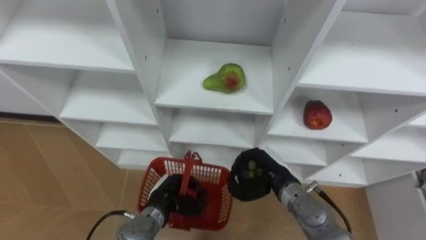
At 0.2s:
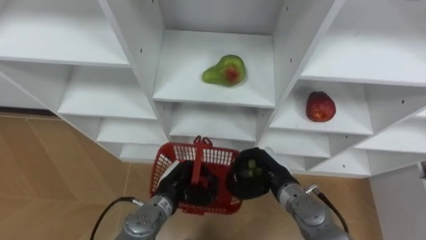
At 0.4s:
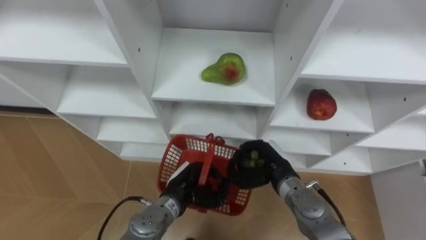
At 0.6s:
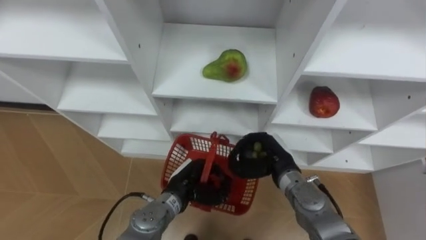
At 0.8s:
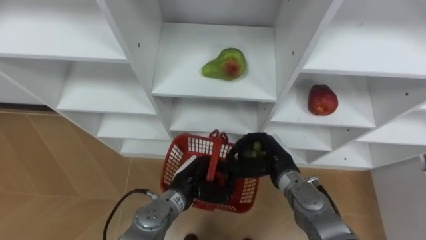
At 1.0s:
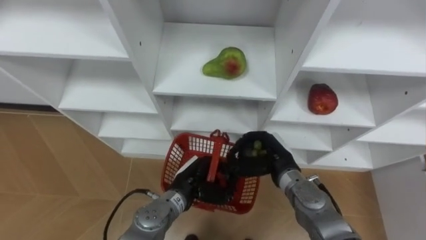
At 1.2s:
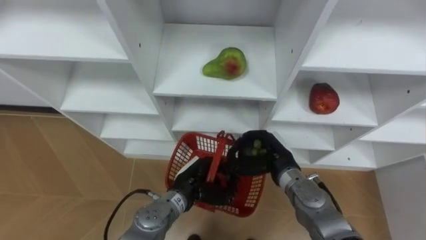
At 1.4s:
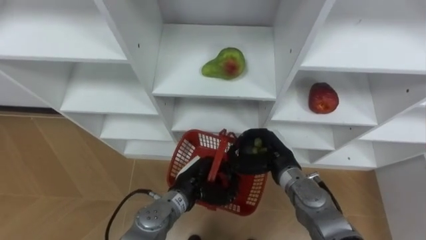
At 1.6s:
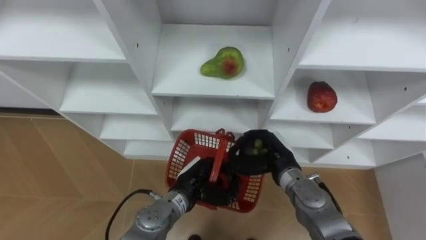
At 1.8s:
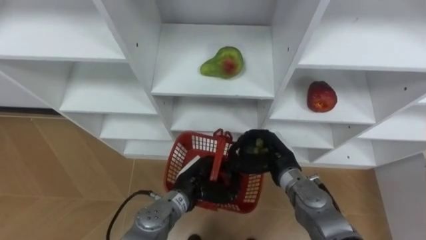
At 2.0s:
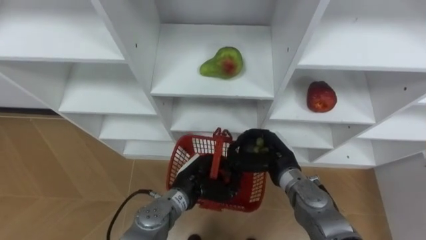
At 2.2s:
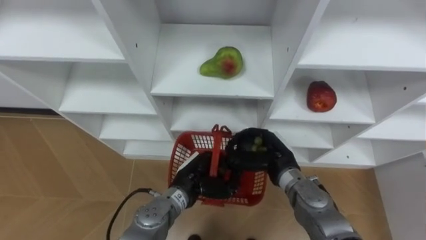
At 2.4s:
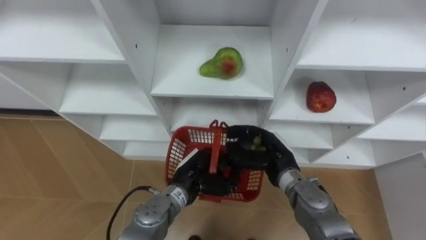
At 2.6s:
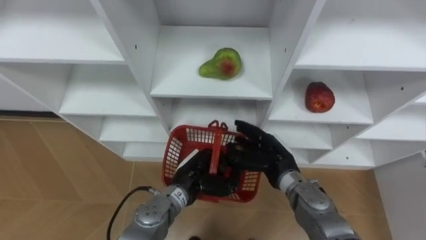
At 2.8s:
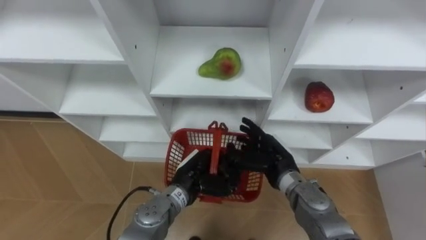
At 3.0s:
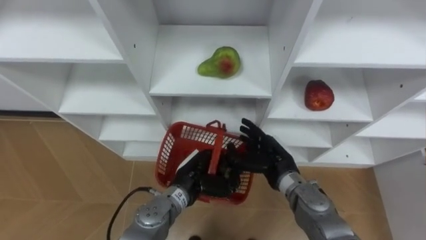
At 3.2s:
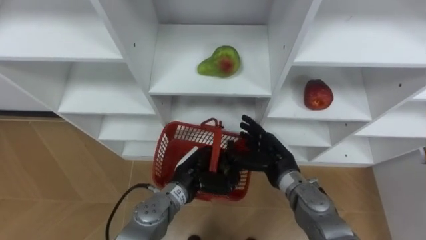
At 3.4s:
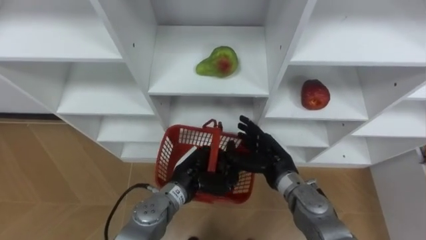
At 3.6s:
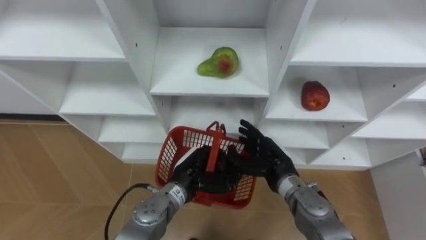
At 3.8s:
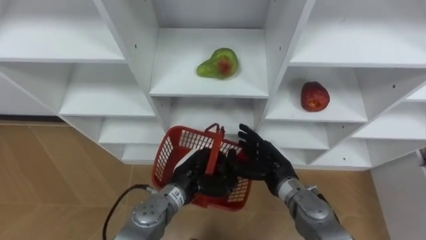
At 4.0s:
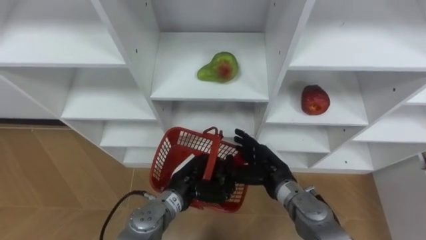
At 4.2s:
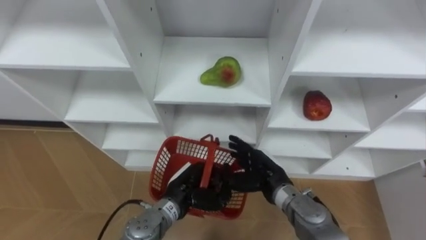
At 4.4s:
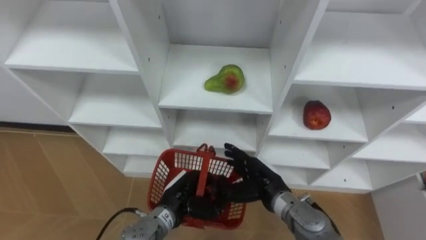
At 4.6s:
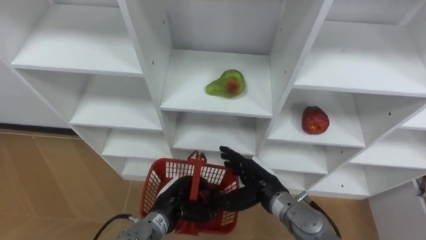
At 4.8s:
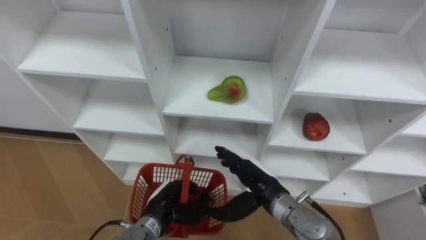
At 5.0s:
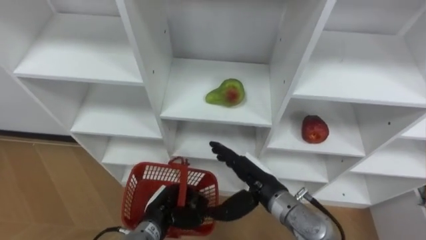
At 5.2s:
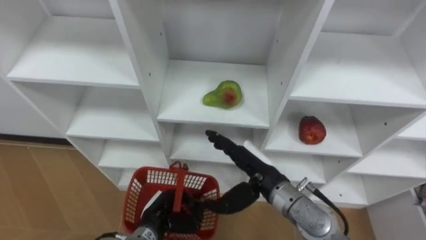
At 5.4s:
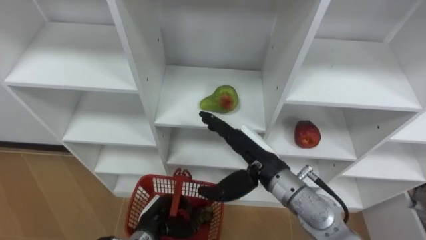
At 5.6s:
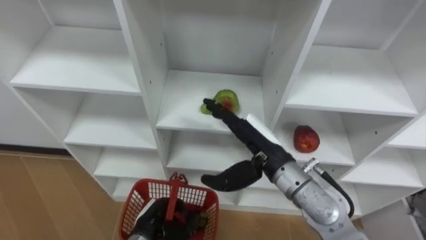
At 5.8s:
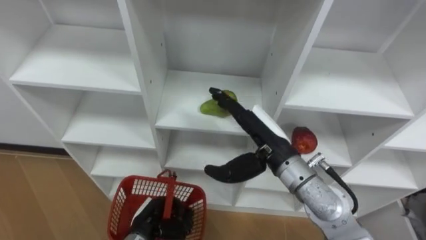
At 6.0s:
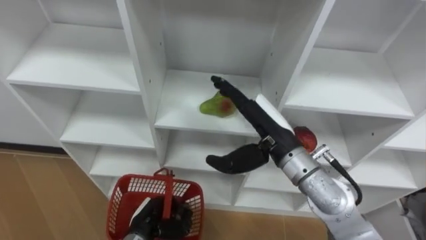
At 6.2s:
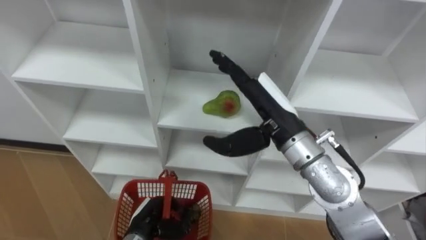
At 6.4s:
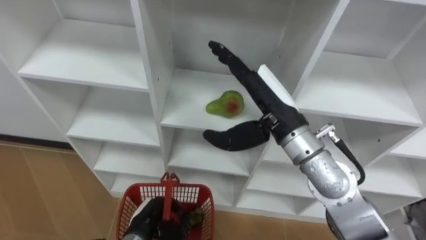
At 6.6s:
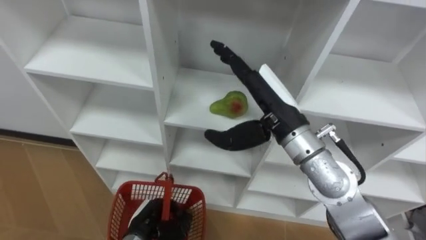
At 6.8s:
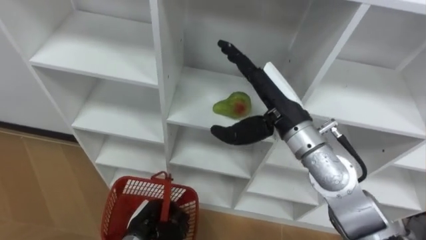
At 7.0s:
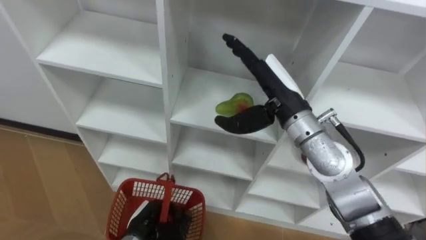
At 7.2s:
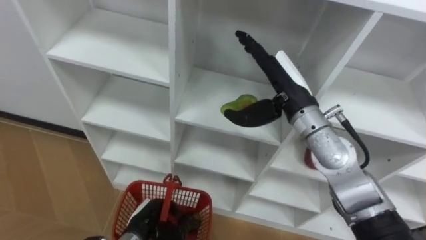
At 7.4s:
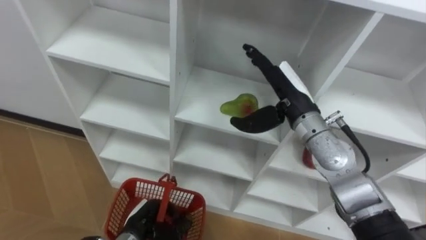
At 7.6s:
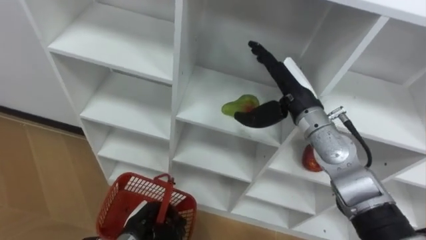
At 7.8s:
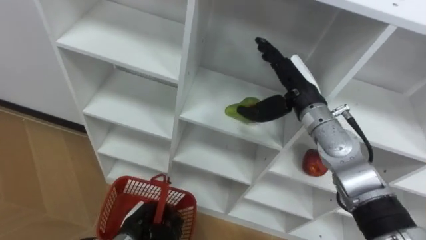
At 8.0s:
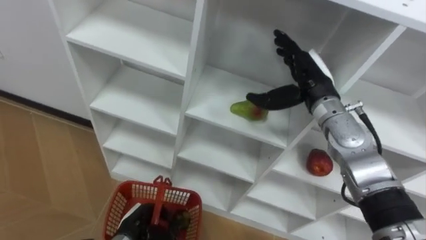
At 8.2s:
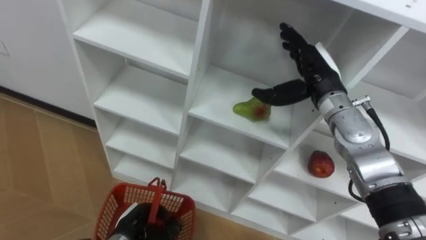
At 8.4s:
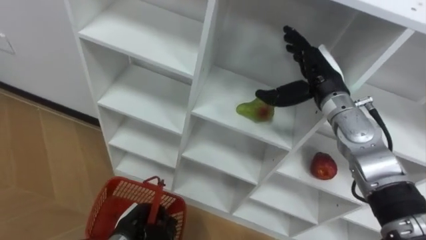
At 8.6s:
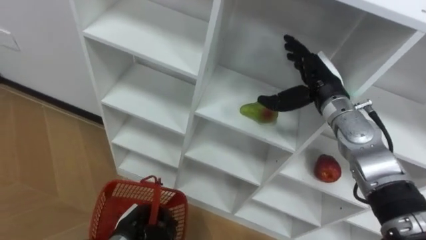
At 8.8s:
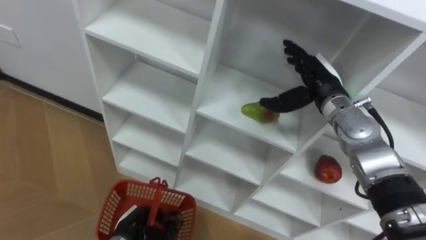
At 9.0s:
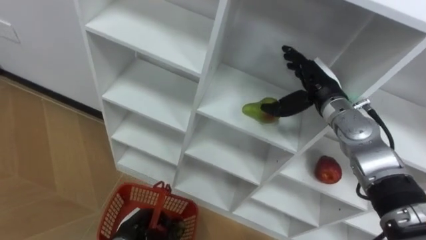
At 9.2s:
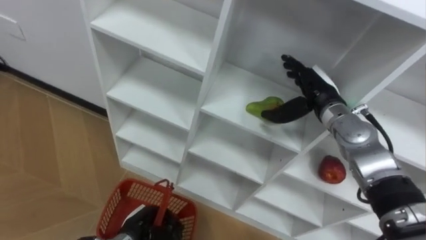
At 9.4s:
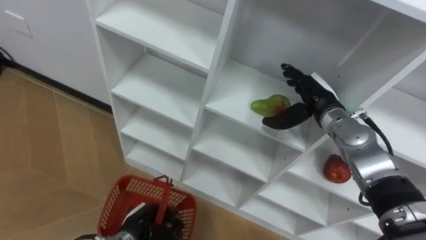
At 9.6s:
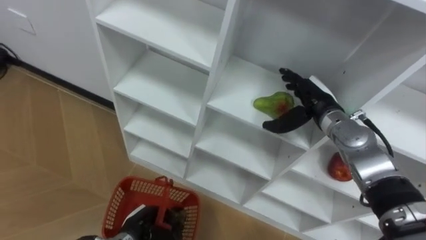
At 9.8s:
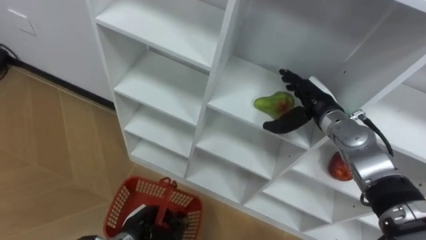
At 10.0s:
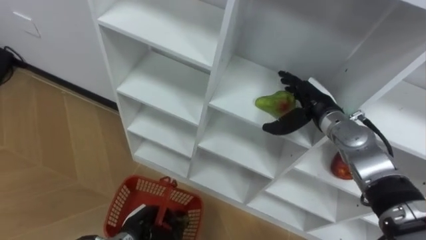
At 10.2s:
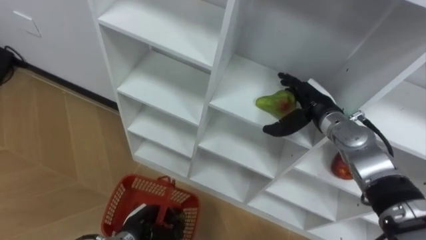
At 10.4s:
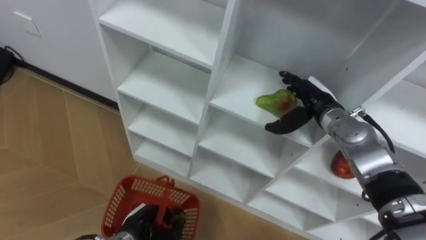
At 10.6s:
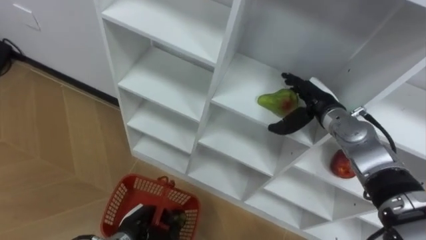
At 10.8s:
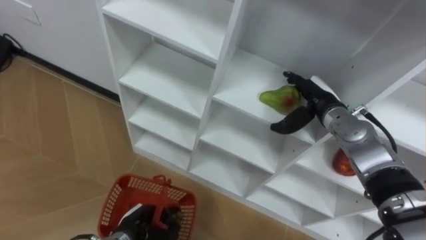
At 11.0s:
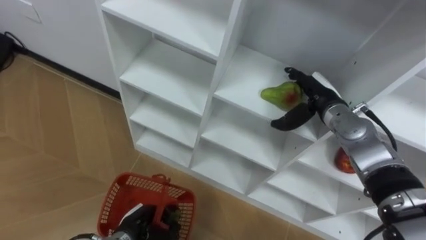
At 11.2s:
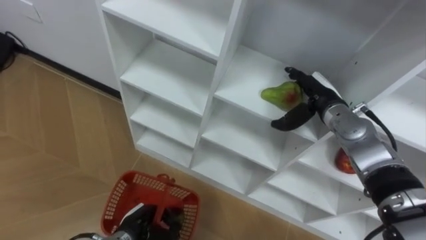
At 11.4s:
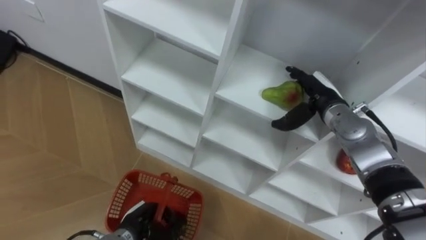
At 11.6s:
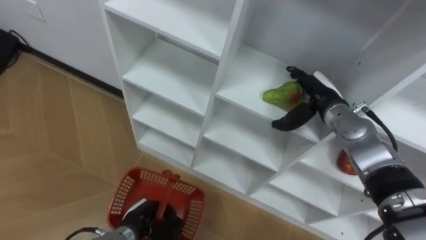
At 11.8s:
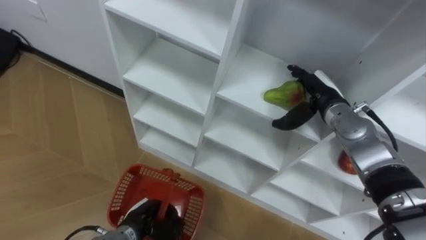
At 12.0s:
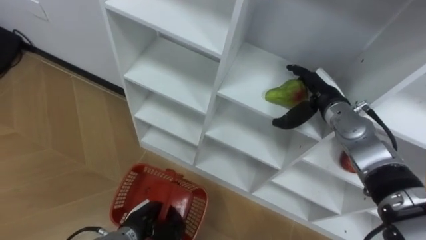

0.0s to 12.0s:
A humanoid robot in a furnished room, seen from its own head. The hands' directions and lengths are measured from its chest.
Task of the whole recording: Hold the basket and collect the fruits from 3 different cells of the closet into it.
0.0s to 1.6s: The left hand shifts some 5 cm to the right.
1.6s to 3.0s: The right hand opens.
3.0s to 4.4s: The left hand moves about 5 cm.
4.4s to 6.0s: The left hand heads to the left and downward, covering approximately 10 cm; the right hand is displaced upward by about 15 cm.
6.0s to 7.6s: The right hand goes some 5 cm forward.
7.6s to 9.0s: The right hand moves to the right, some 5 cm.

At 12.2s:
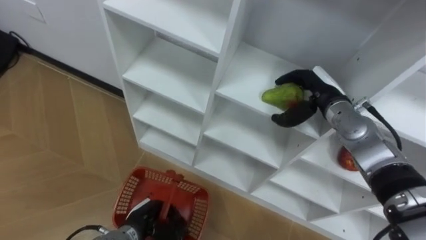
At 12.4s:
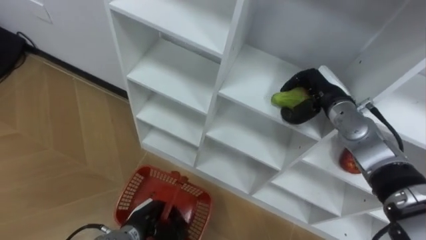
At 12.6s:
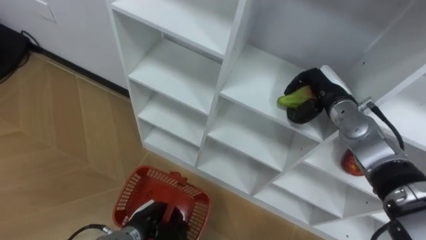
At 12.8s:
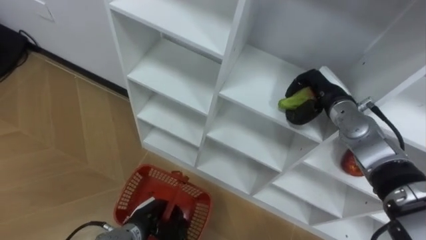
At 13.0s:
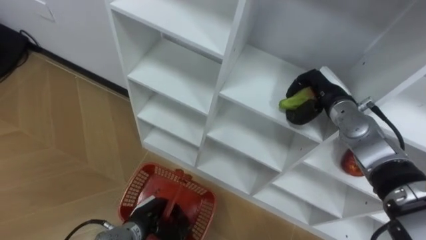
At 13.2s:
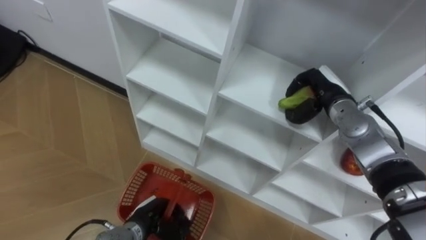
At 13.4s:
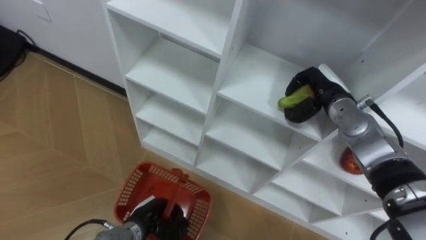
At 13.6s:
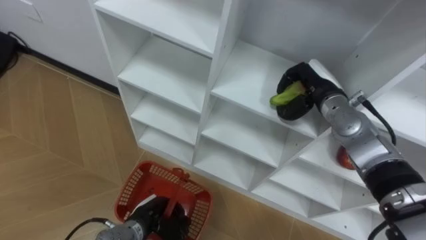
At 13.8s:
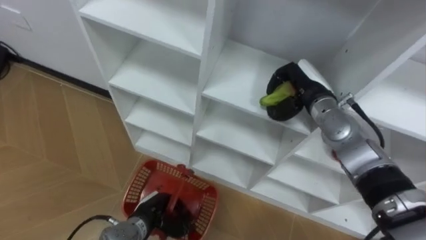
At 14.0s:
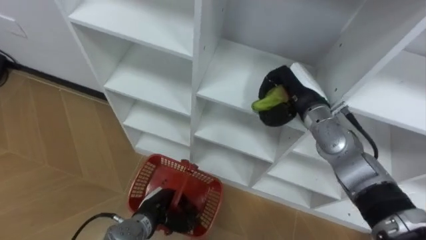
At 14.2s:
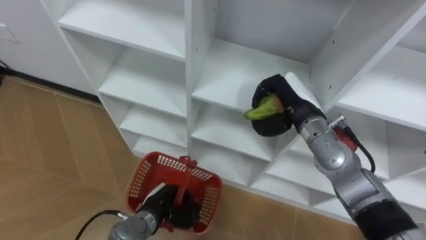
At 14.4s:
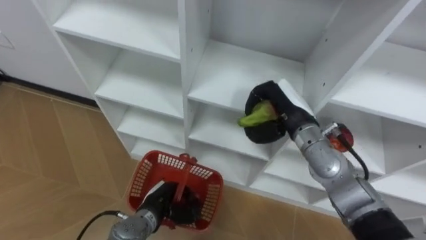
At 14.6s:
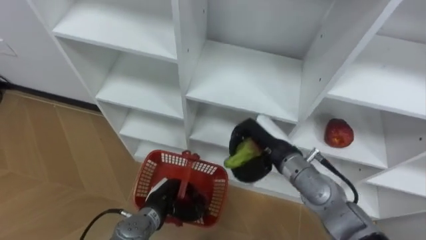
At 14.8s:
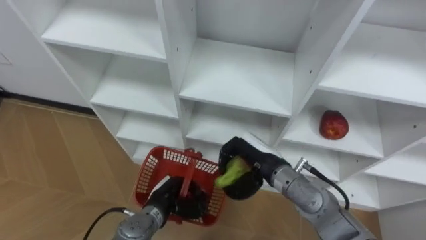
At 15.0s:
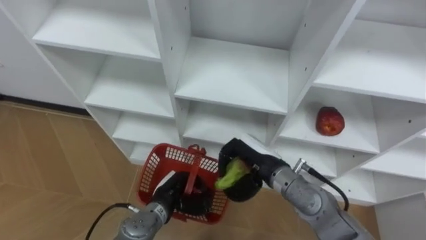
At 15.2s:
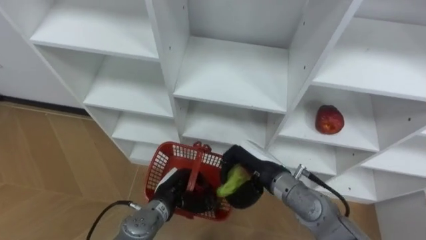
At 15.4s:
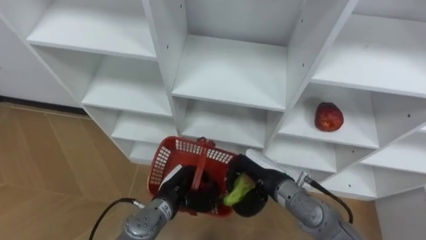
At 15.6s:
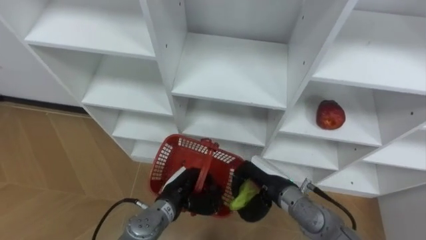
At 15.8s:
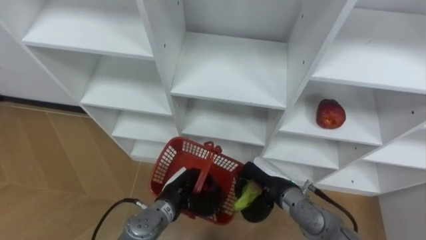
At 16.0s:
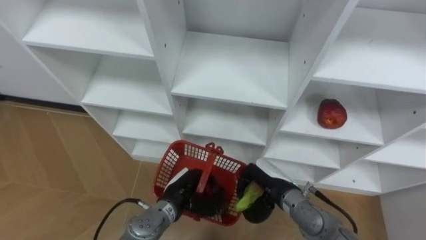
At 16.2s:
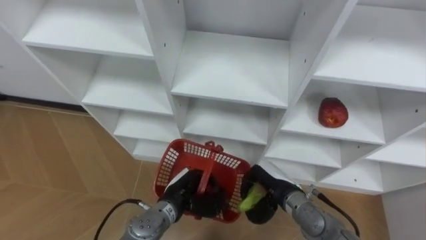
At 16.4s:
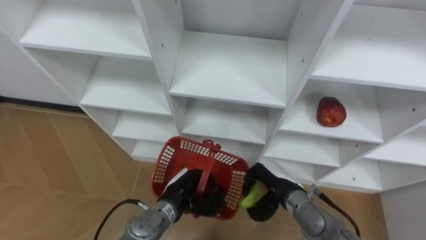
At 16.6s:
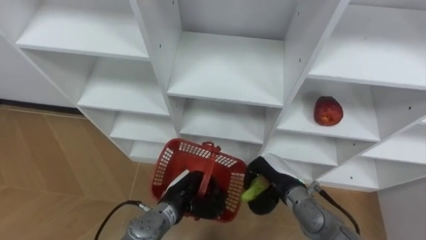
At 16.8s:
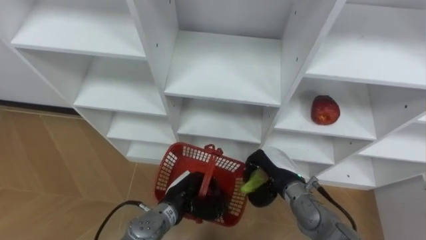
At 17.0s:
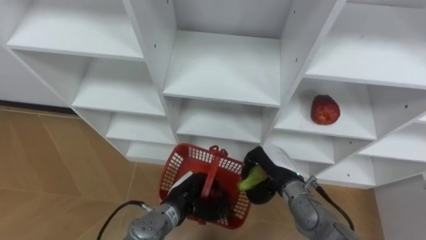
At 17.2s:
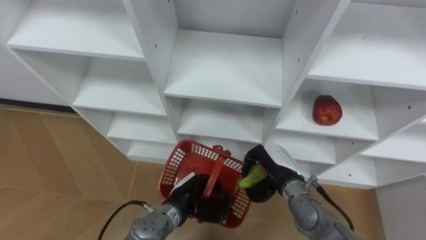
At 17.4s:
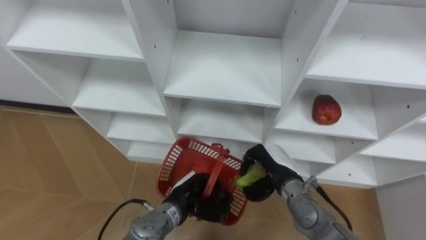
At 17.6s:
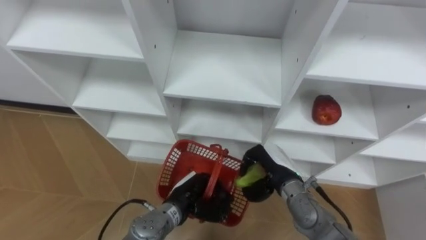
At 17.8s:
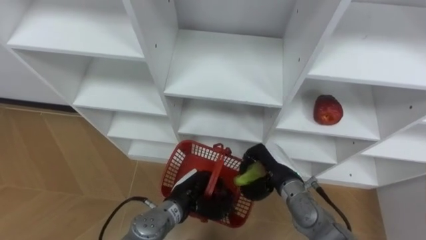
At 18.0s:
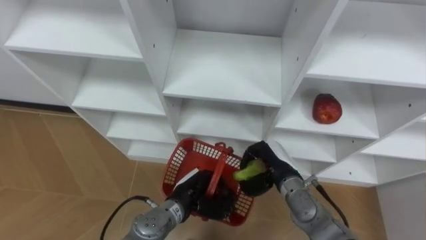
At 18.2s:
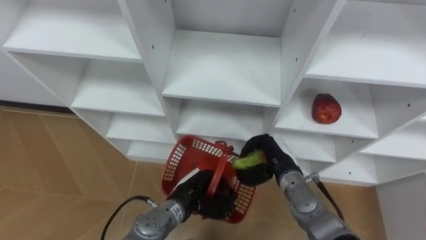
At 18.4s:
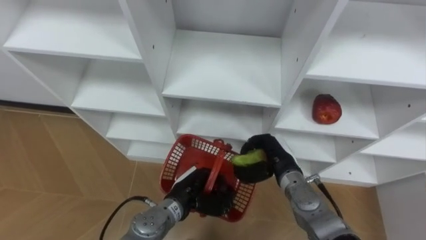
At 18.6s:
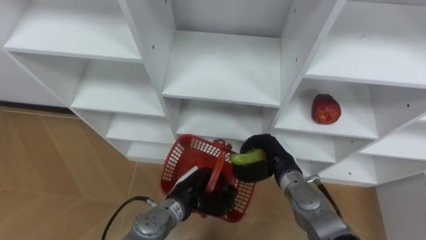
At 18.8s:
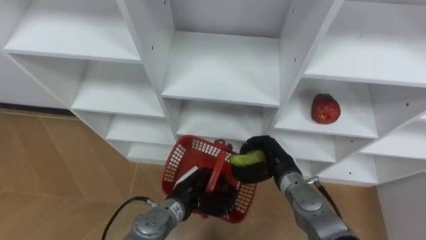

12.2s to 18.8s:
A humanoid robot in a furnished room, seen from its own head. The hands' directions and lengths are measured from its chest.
Task of the whole recording: Hold the basket and collect the fruits from 3 different cells of the closet into it.
12.2s to 13.8s: The right hand closes its fingers.
13.8s to 15.4s: The left hand moves to the right, roughly 5 cm, while the right hand moves backward, downward and to the left, about 20 cm.
